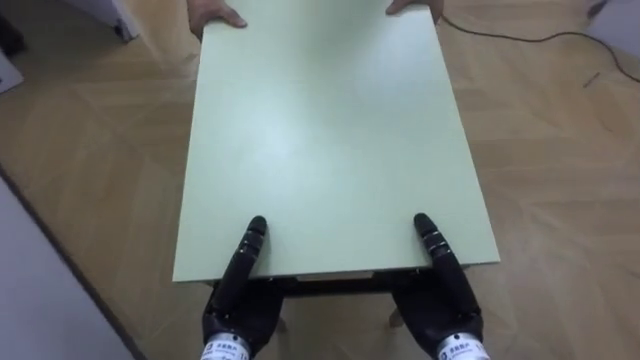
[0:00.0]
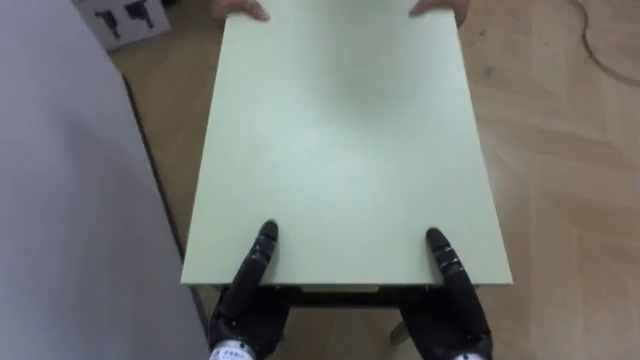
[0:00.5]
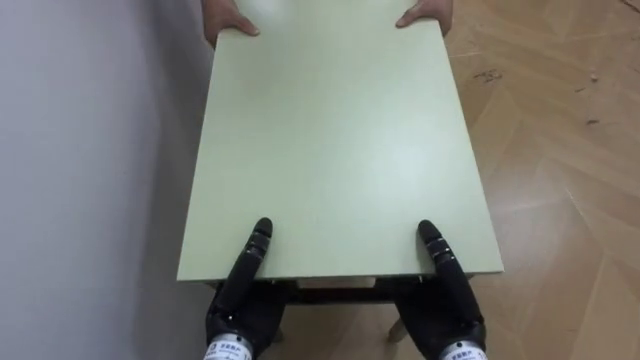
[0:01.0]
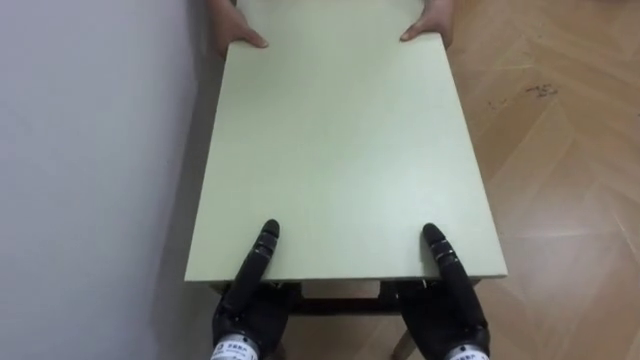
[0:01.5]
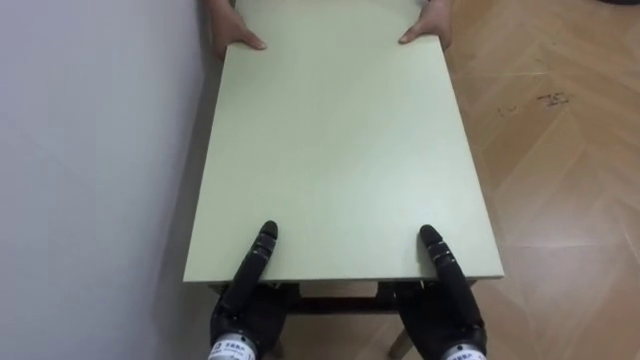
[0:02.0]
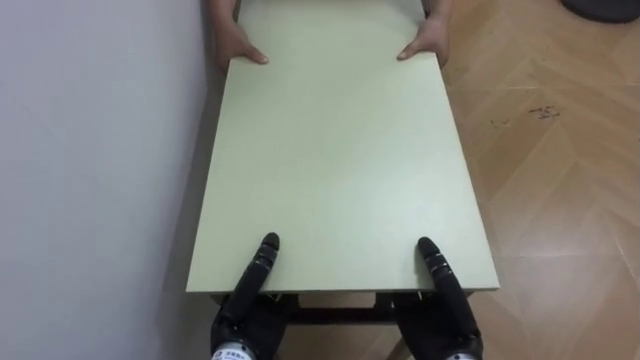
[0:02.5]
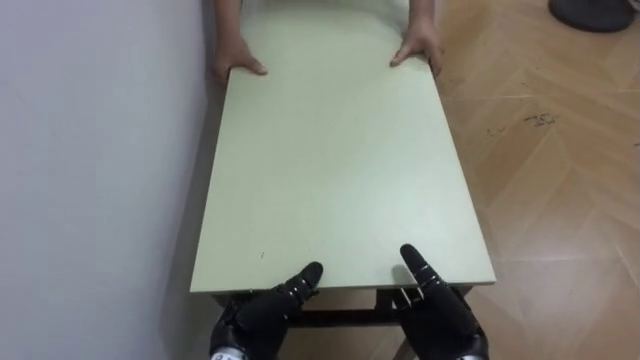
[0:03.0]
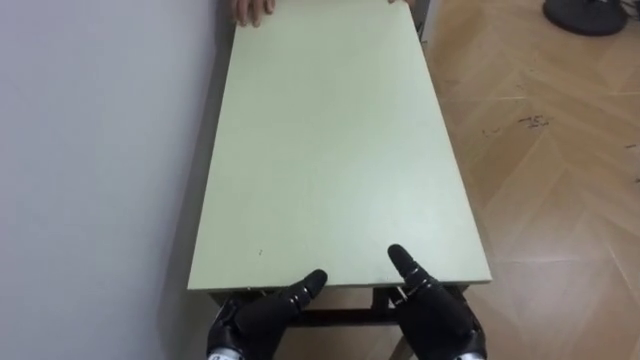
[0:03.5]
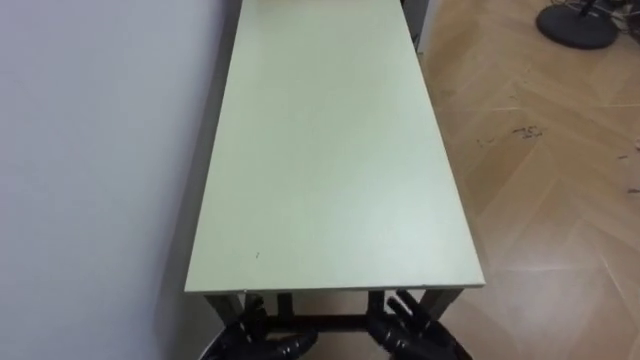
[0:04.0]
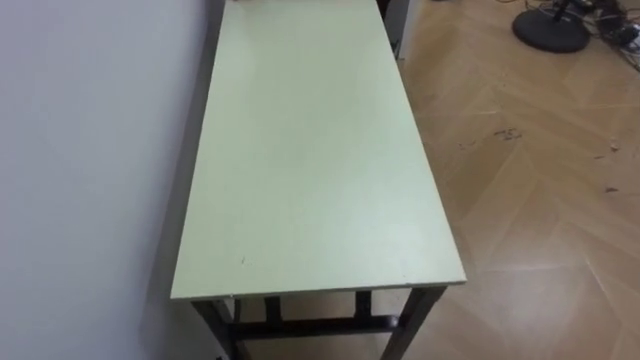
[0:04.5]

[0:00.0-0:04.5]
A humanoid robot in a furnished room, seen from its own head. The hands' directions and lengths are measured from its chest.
Task of the whole recording: Move the table to the back left with someone.
0:00.0 to 0:02.0: The robot turns to its left by approximately 50 degrees.

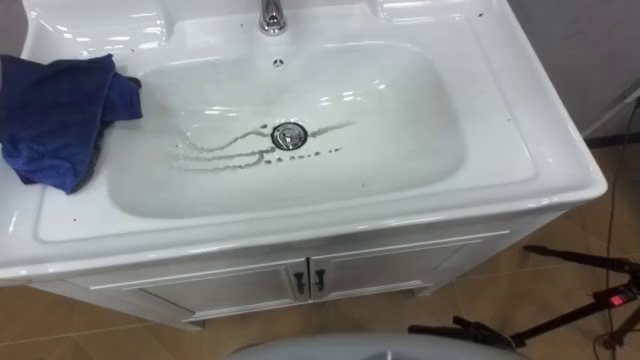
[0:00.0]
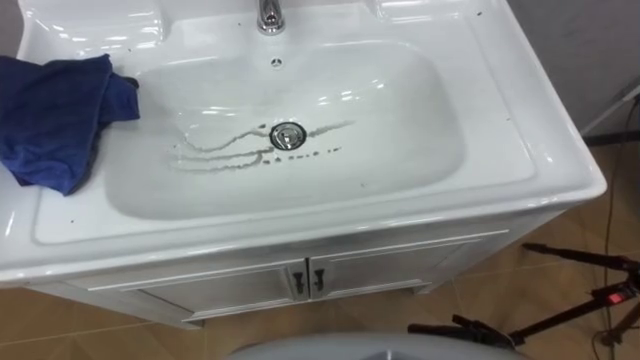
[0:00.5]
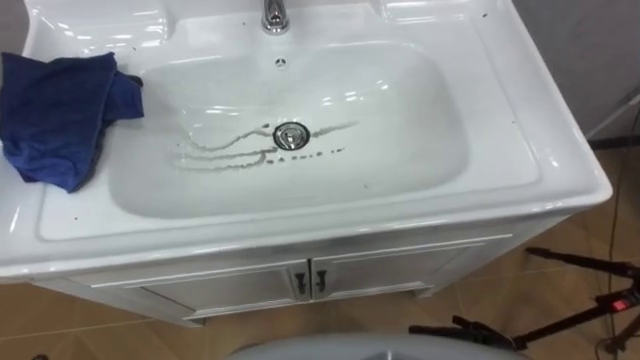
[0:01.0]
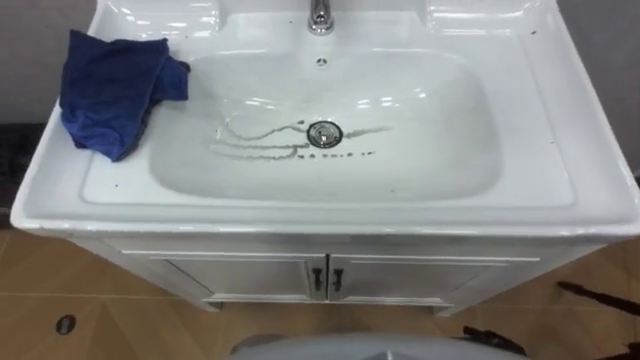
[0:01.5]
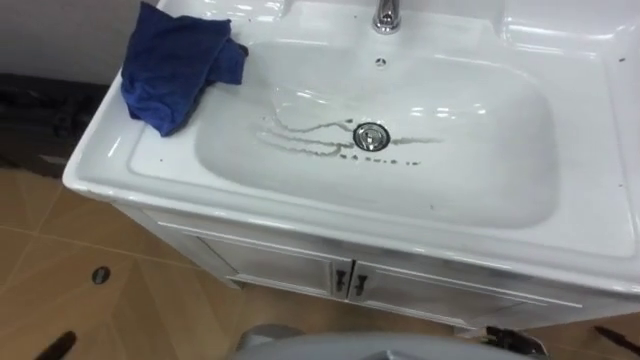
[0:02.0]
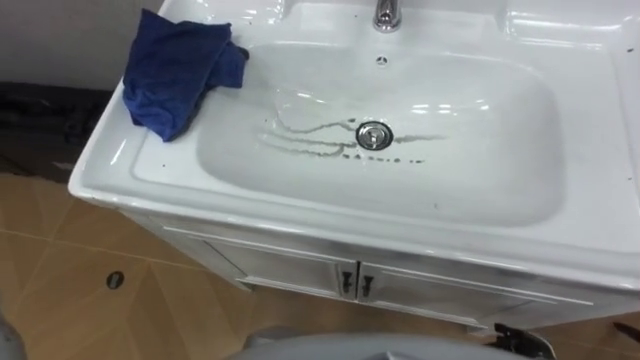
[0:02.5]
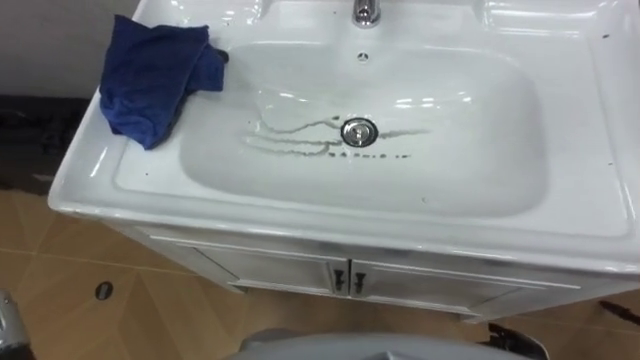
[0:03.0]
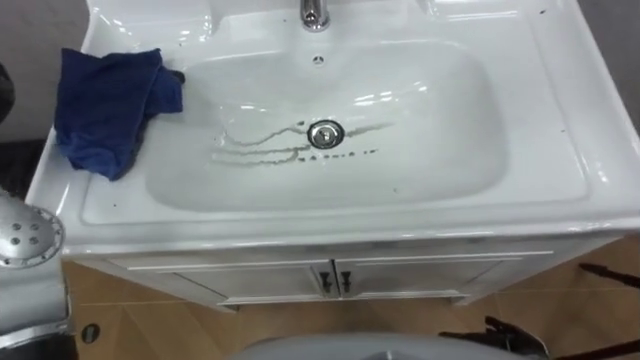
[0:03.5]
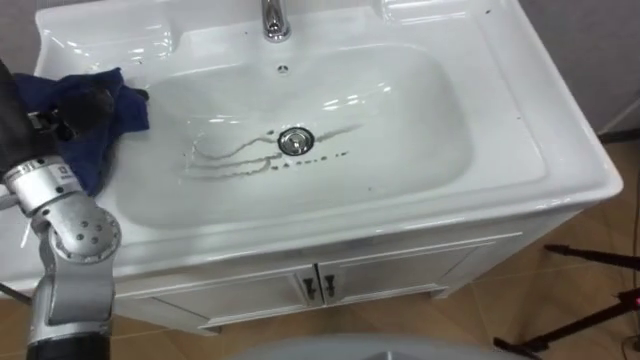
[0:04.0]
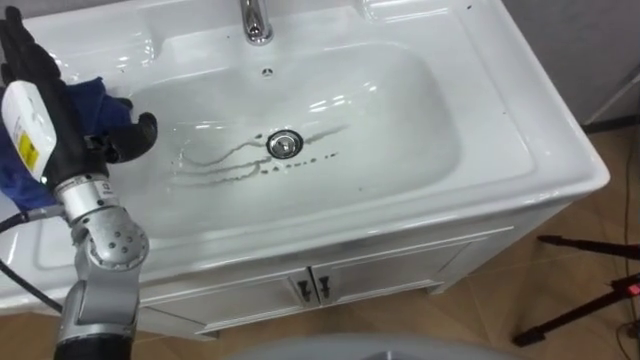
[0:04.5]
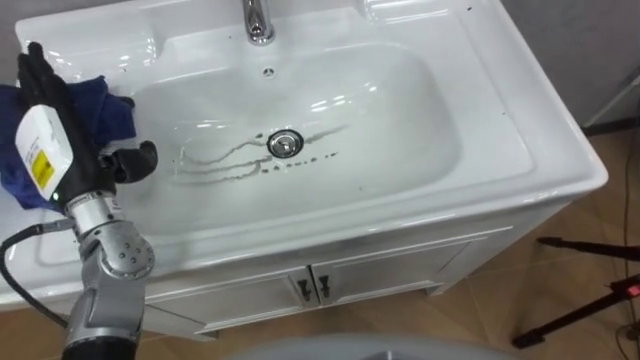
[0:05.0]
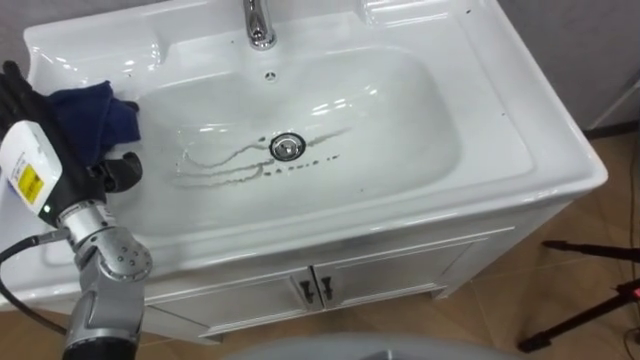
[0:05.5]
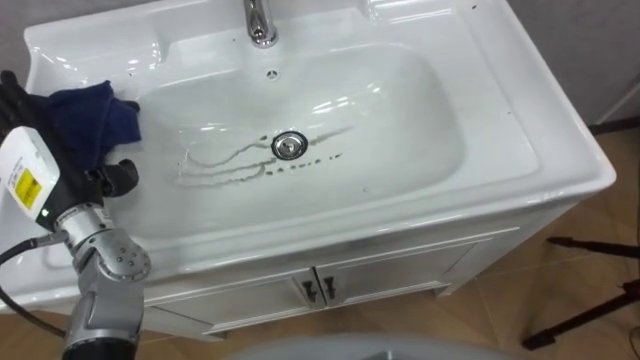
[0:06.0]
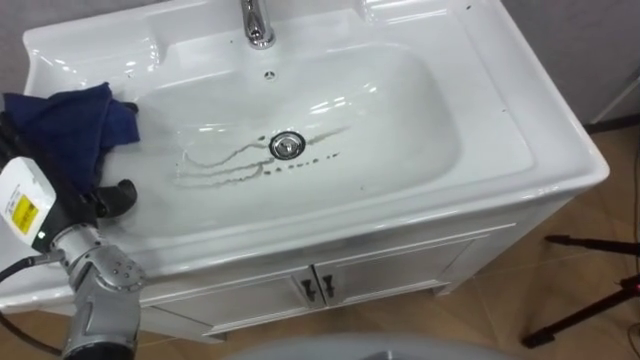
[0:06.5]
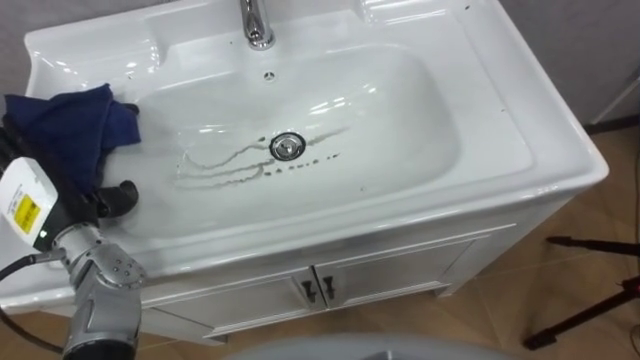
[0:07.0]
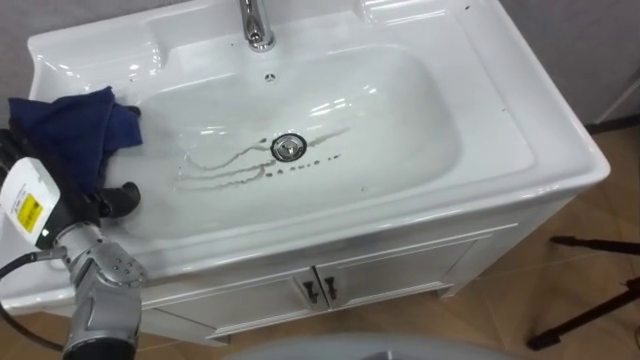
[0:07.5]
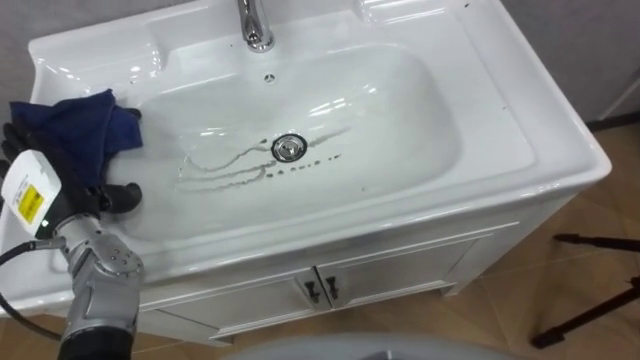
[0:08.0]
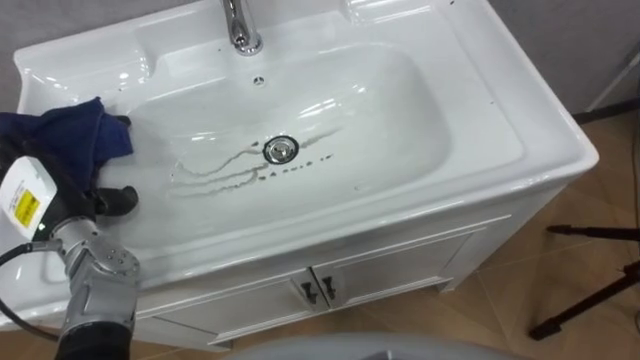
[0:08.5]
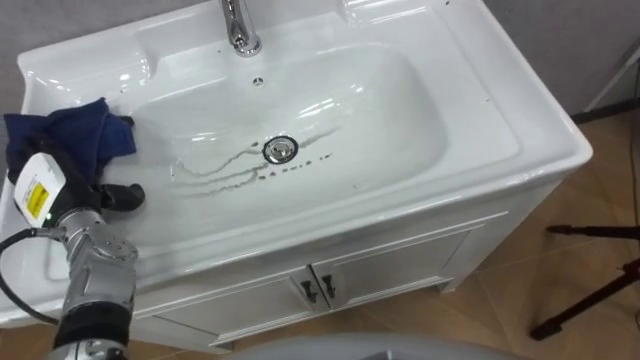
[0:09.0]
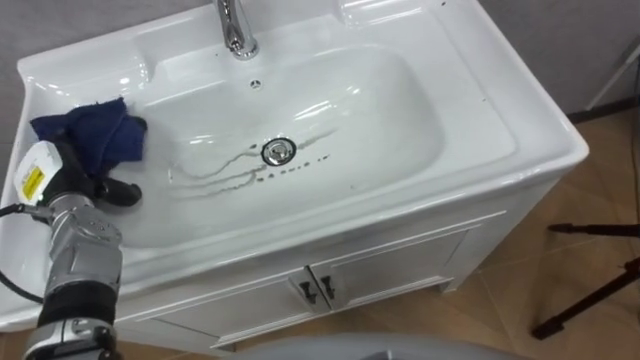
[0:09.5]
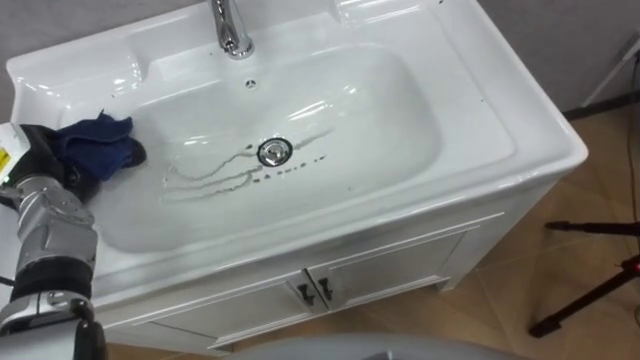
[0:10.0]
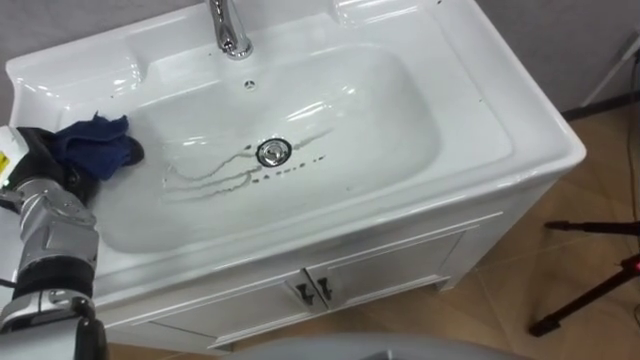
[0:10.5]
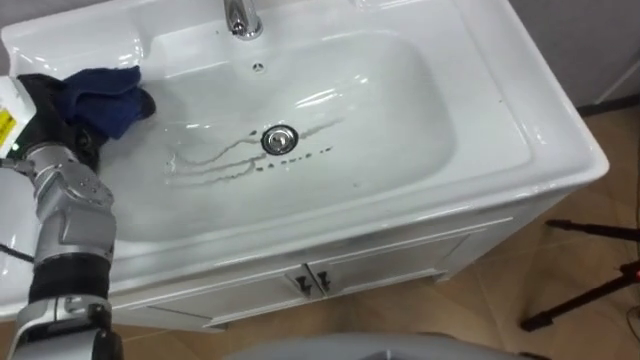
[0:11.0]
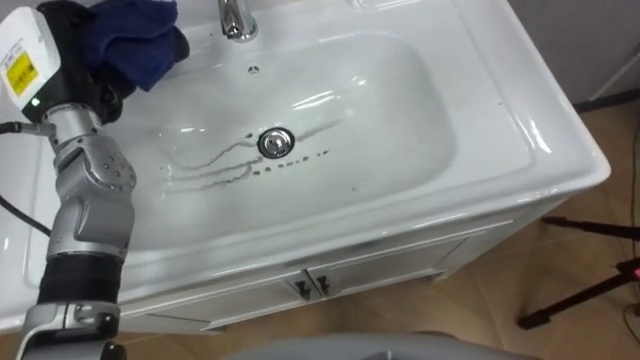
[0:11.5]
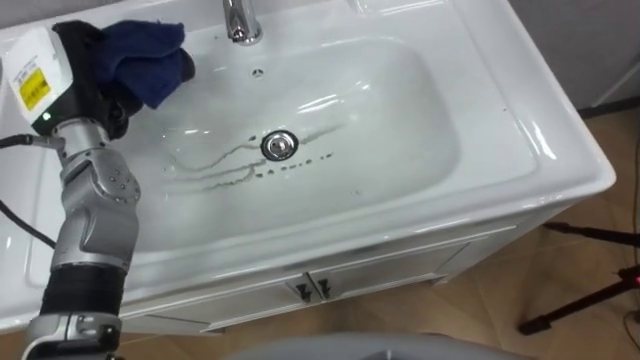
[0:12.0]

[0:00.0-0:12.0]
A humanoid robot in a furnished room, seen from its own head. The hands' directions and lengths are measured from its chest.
Task of the whole recording: Use the cloth on the right to wipe away the black stain in the sink.
0:08.0 to 0:10.0: The left hand moves approximately 5 cm, and closes.
0:10.0 to 0:12.0: The left hand shifts about 15 cm upward and to the right.

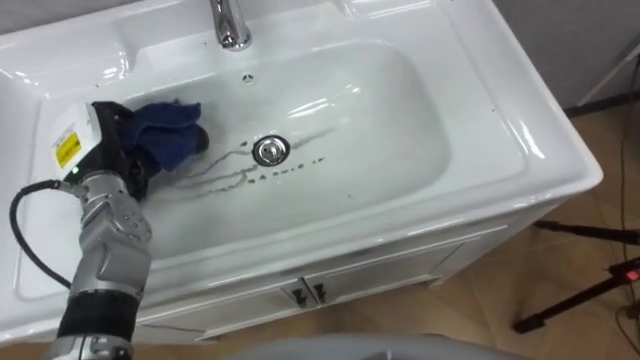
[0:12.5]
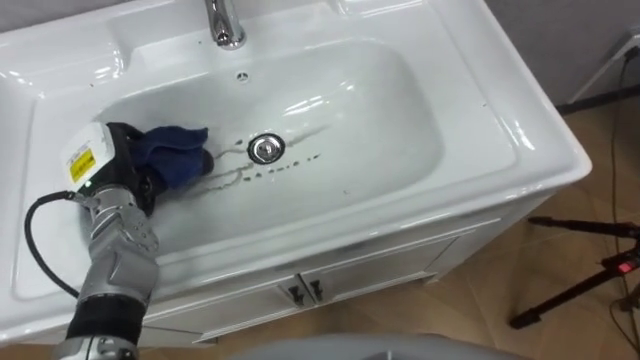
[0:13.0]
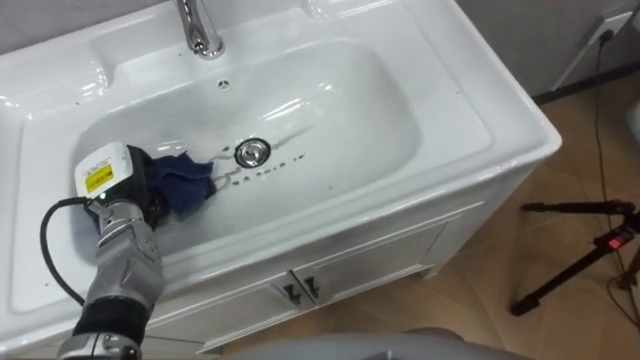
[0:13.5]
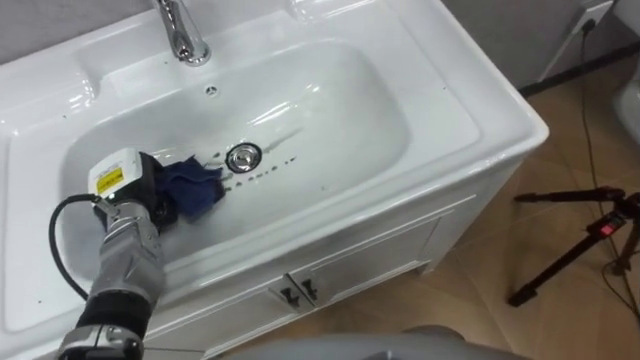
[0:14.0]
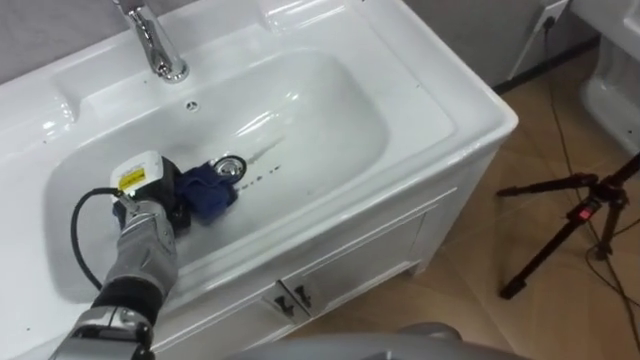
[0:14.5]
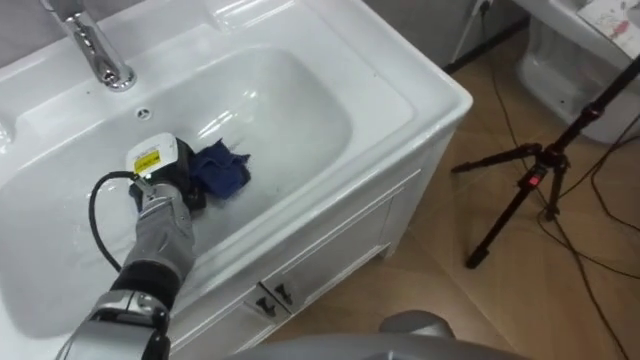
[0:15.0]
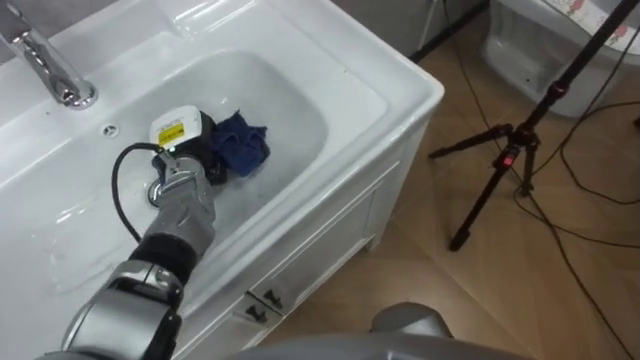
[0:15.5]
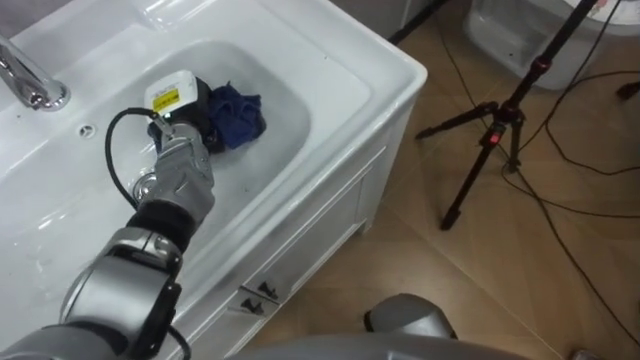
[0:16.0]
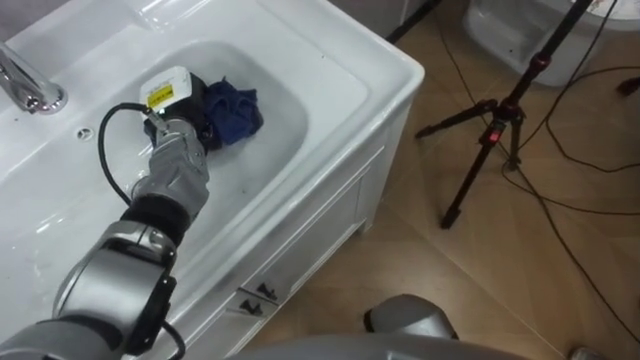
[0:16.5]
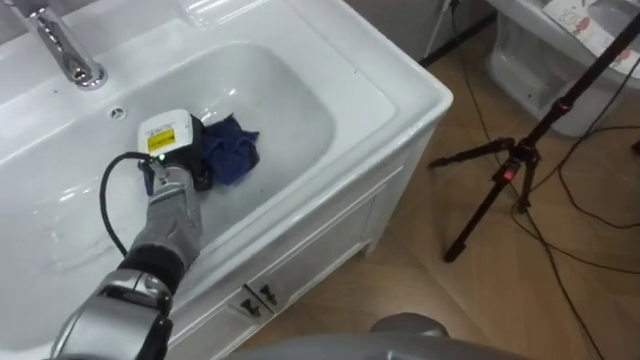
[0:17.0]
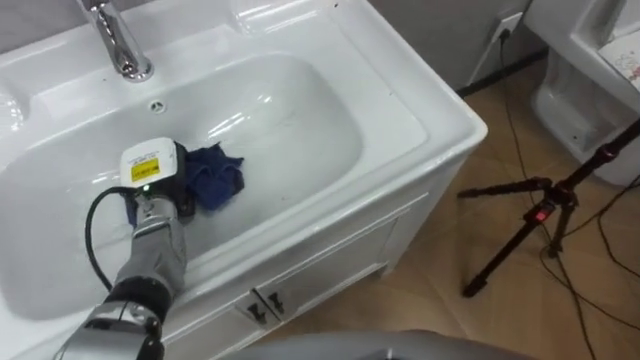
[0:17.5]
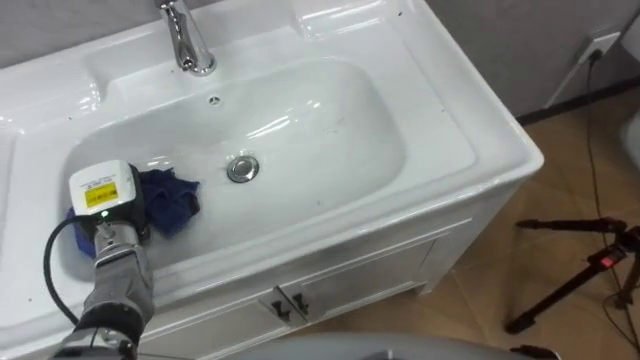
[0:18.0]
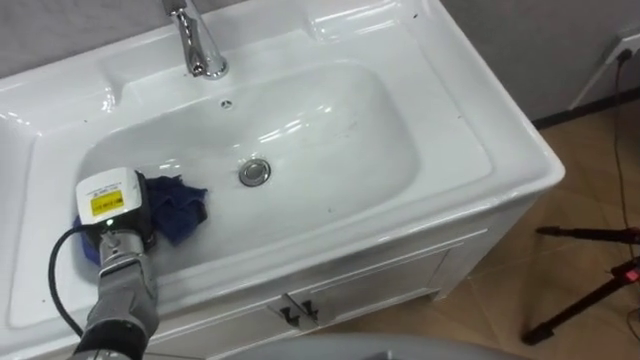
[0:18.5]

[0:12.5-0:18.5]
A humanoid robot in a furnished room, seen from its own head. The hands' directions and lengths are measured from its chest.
Task of the whole recording: Use the cloth on the right to wipe away the black stain in the sink.
0:12.5 to 0:14.5: The left hand heads downward, covering some 10 cm.
0:14.5 to 0:16.5: The left hand is displaced forward, upward and to the right by roughly 15 cm.
0:16.5 to 0:18.5: The left hand heads backward, to the left and downward, covering approximately 20 cm.
